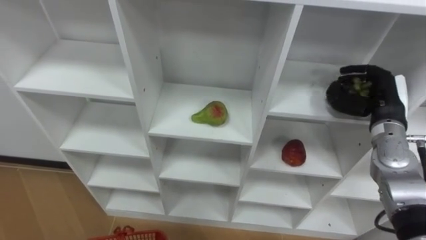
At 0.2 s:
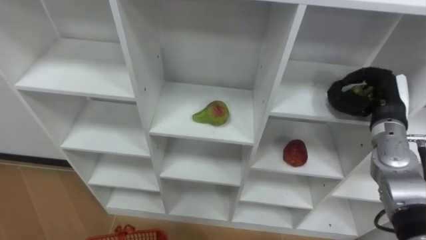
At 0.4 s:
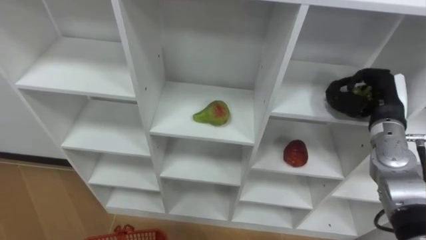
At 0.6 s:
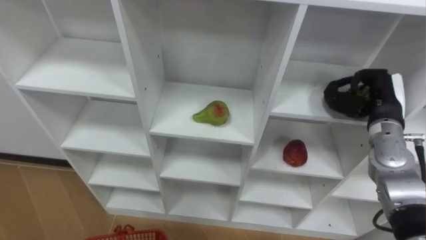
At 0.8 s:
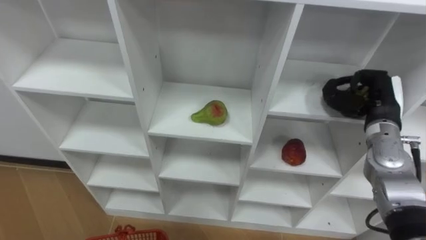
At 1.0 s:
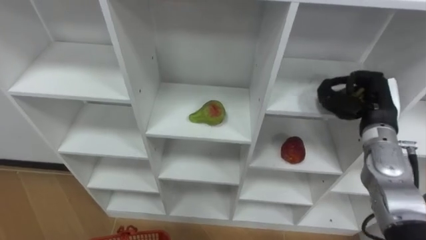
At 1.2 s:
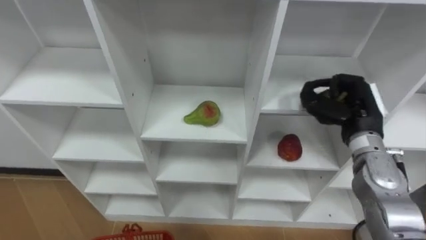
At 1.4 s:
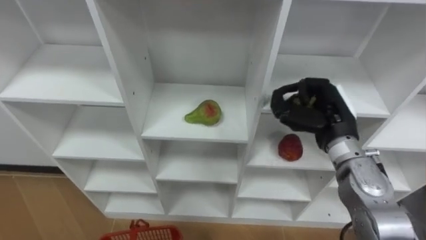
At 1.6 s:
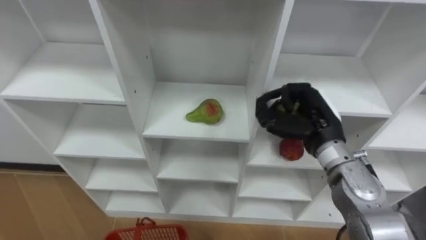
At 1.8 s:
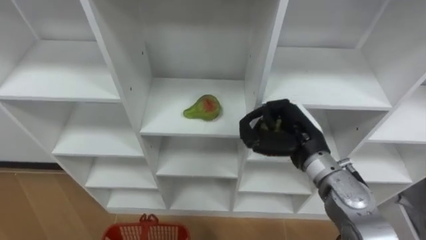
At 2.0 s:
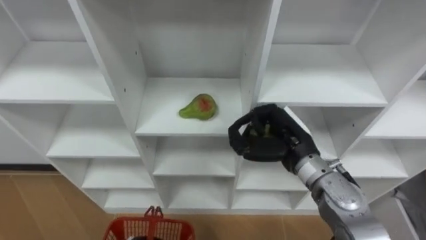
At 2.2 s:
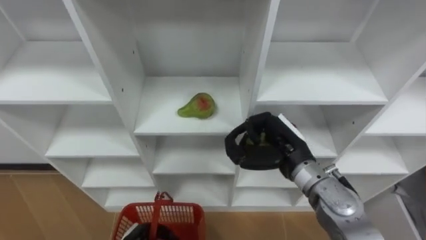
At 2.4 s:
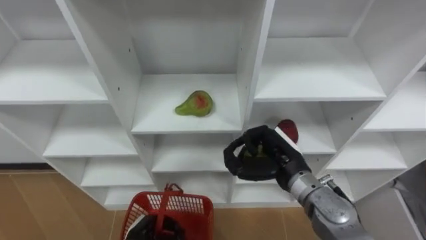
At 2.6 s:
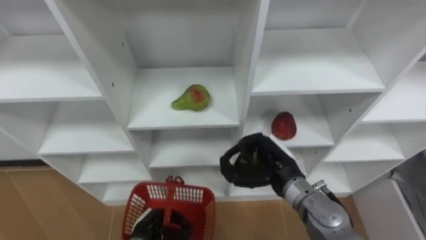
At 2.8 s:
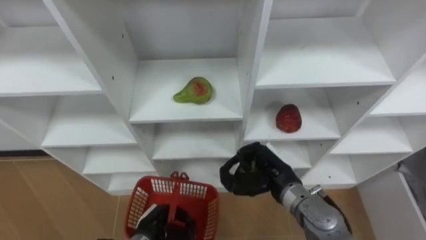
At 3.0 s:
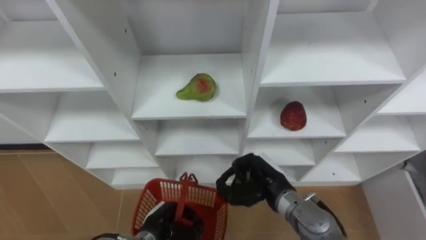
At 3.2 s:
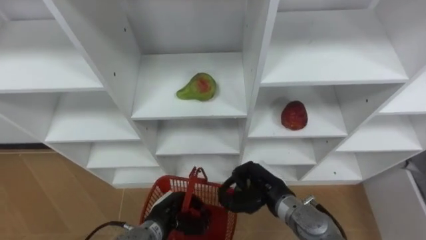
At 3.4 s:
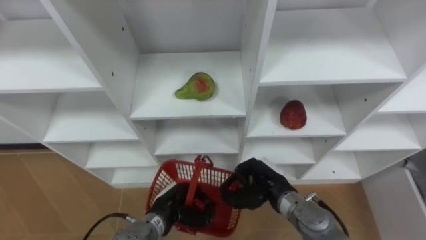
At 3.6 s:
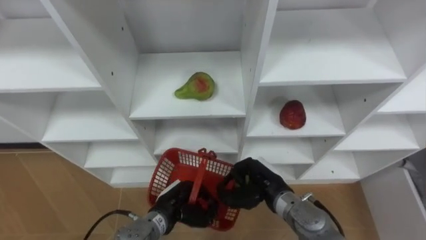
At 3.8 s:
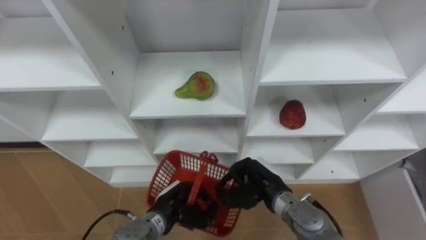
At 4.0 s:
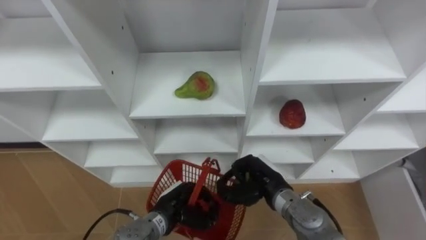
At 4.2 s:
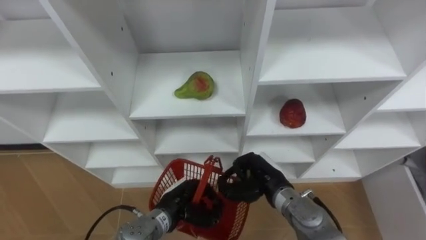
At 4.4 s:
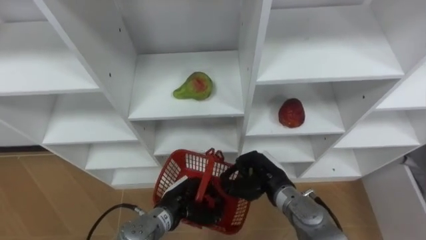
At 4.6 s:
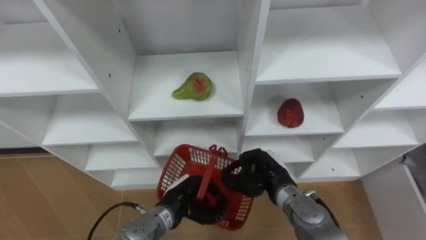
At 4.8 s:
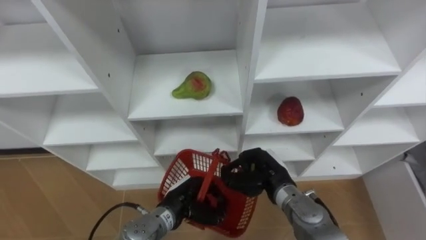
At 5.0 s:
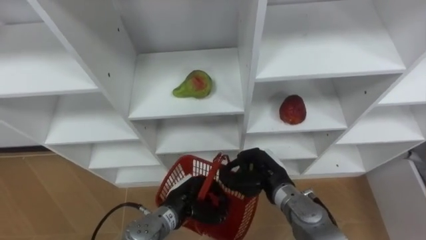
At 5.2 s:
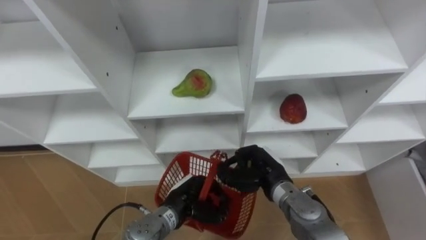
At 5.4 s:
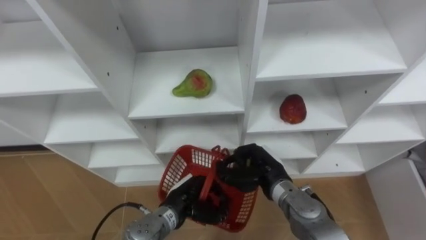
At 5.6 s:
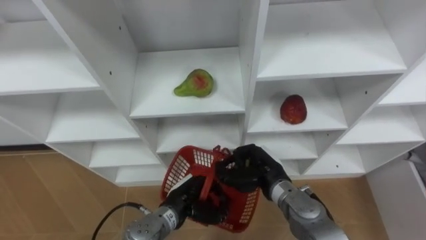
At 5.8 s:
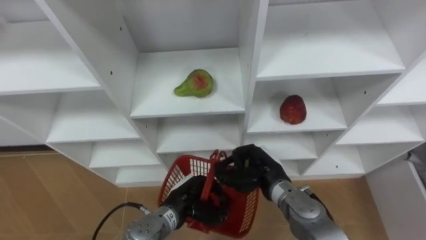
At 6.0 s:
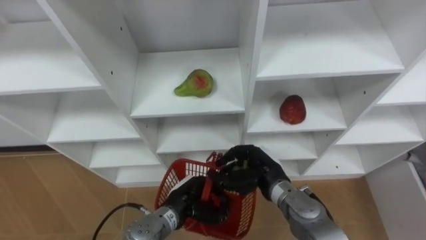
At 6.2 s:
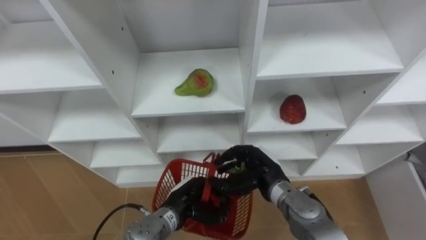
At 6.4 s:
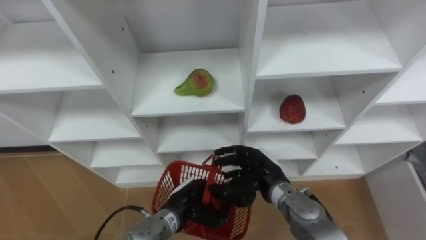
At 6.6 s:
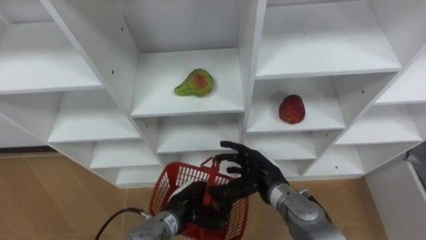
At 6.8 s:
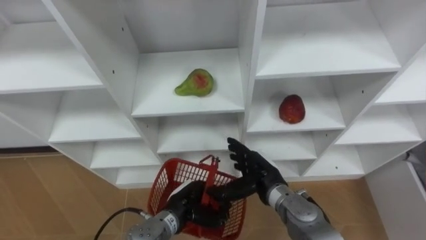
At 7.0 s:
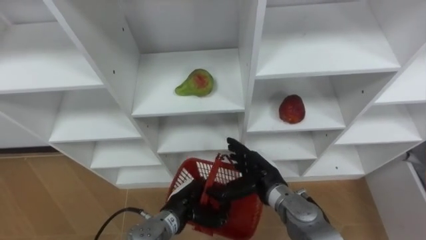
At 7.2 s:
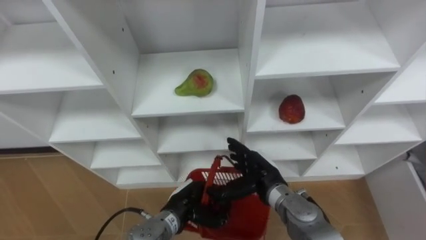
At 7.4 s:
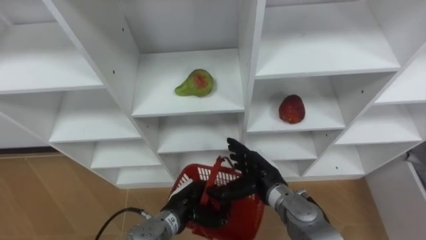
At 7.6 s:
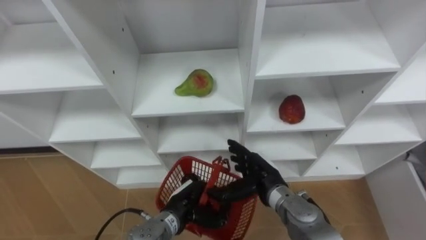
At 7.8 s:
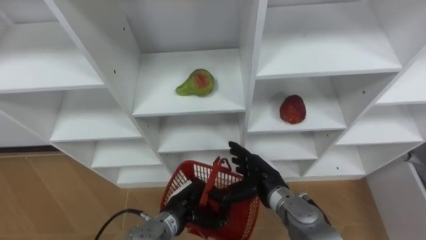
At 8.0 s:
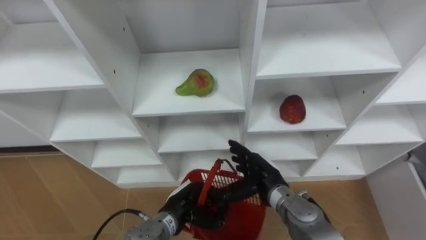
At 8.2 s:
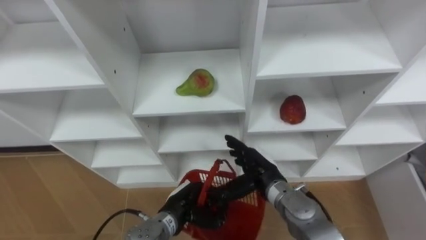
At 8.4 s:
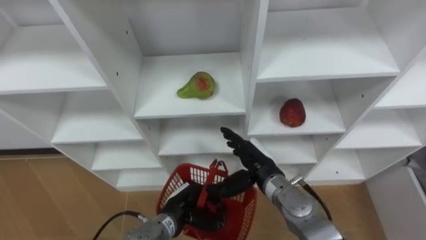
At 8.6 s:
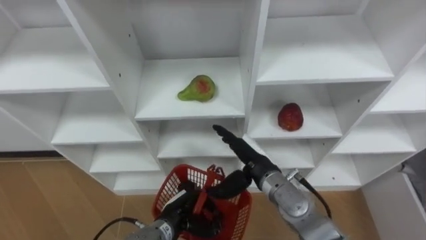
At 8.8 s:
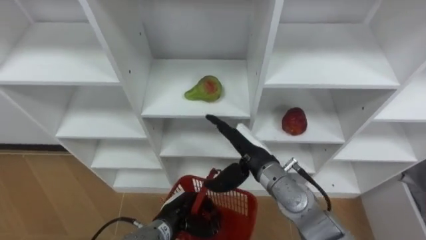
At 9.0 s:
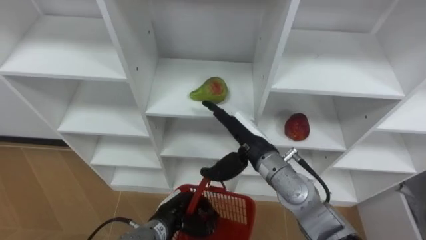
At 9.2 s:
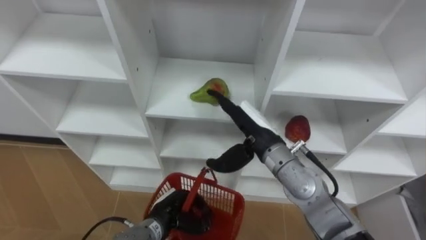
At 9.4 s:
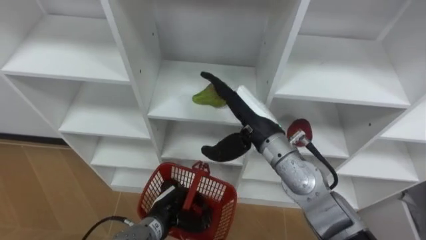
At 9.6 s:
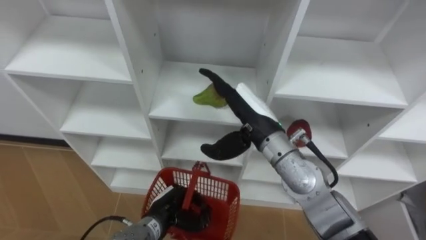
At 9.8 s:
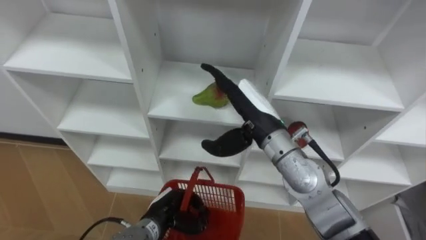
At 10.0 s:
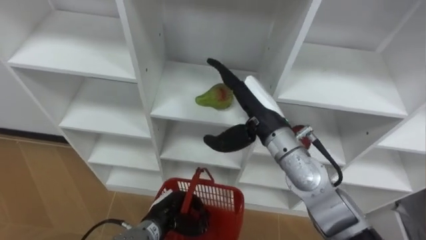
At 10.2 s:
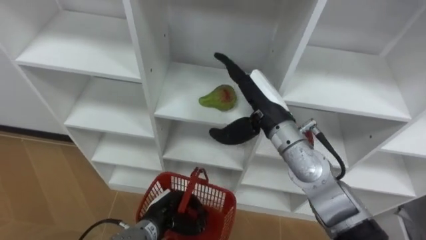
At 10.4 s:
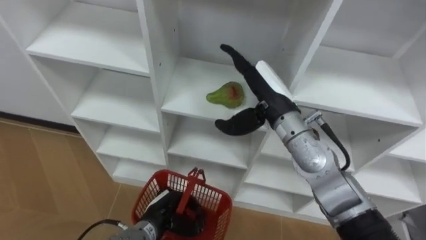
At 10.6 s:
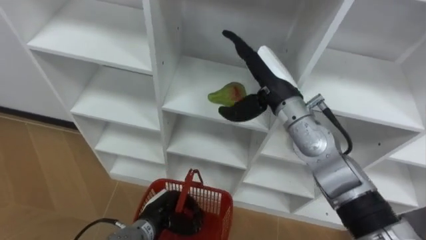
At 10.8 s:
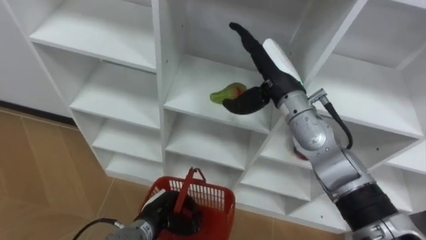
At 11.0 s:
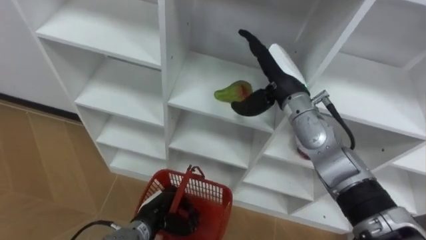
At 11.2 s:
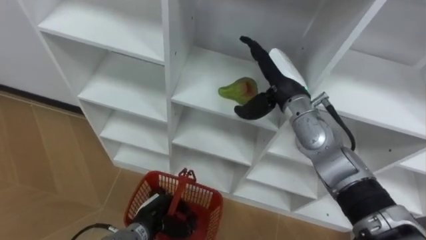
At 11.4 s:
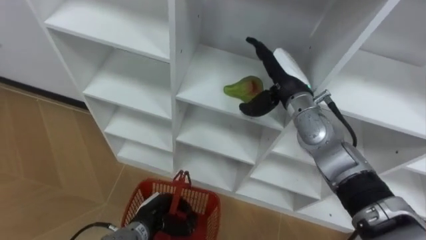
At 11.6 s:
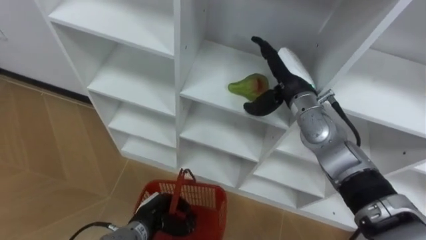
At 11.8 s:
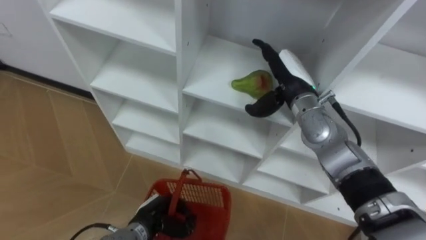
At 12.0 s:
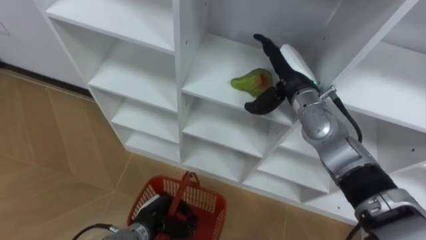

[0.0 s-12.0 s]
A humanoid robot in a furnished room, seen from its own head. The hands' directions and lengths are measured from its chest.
Task of the whole recording: Hold the basket and collect the fruits from 3 different cells of the closet into it.
0.0 to 1.6 s: The right hand is displaced to the left by approximately 15 cm, and closes.
1.6 to 3.0 s: The right hand shifts roughly 15 cm downward, to the left and backward.
3.0 to 4.4 s: The left hand ends up some 5 cm from where it was.
4.4 to 6.0 s: There are only small adjustments of the hands.
6.0 to 7.6 s: The right hand opens its fingers.
7.6 to 9.0 s: The right hand shifts approximately 10 cm upward.
9.0 to 10.4 s: The right hand goes about 10 cm upward.
10.4 to 12.0 s: The right hand is displaced forward by roughly 5 cm.

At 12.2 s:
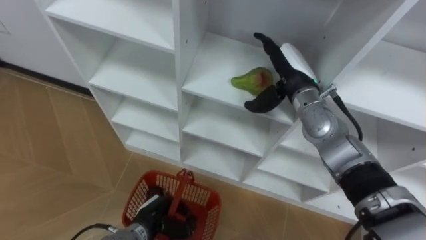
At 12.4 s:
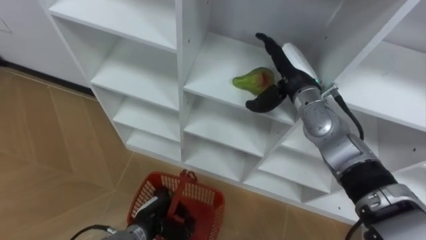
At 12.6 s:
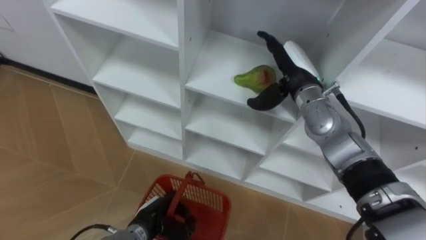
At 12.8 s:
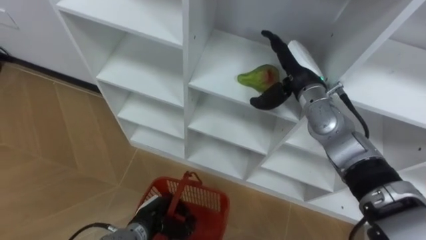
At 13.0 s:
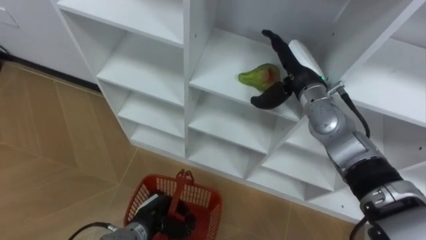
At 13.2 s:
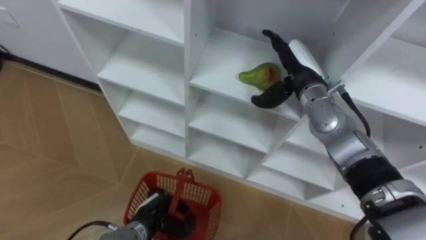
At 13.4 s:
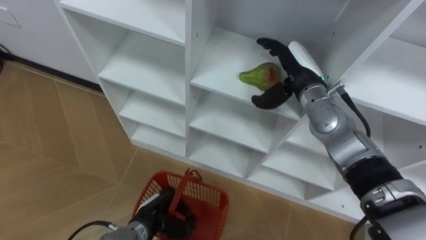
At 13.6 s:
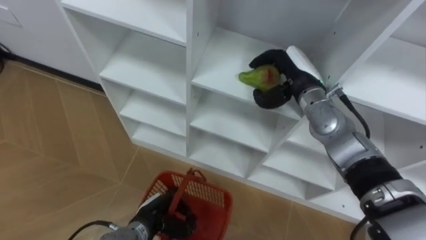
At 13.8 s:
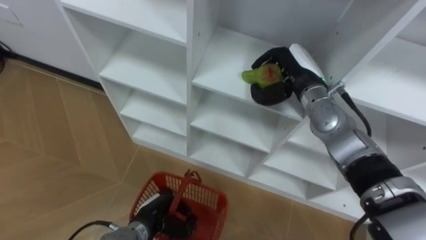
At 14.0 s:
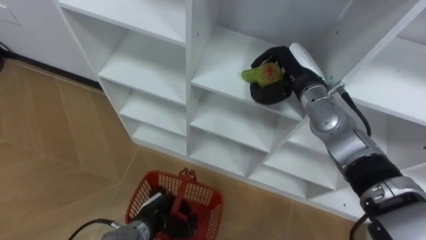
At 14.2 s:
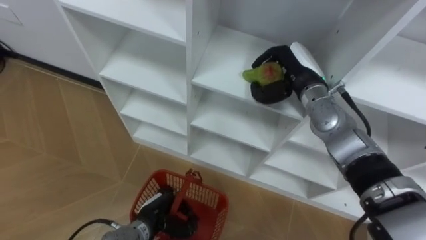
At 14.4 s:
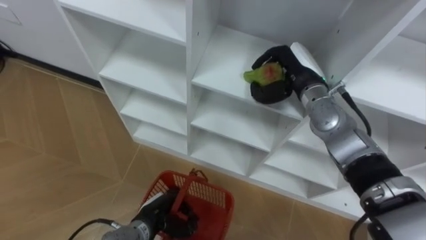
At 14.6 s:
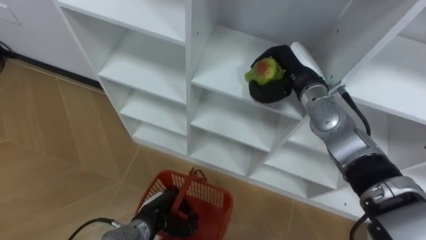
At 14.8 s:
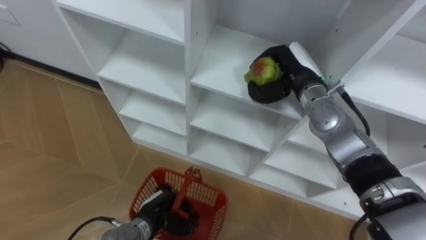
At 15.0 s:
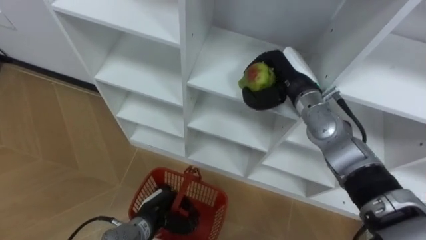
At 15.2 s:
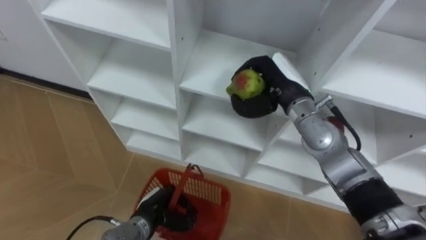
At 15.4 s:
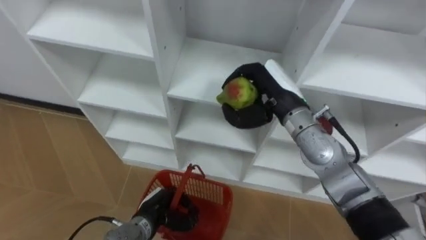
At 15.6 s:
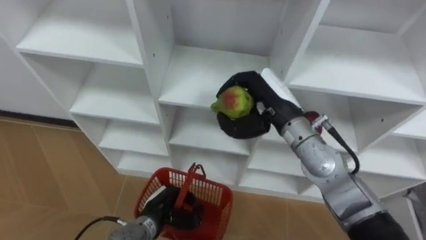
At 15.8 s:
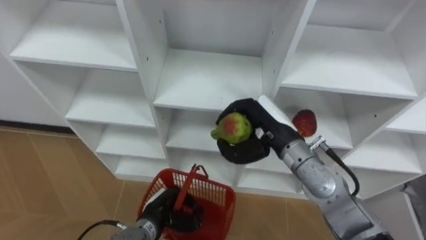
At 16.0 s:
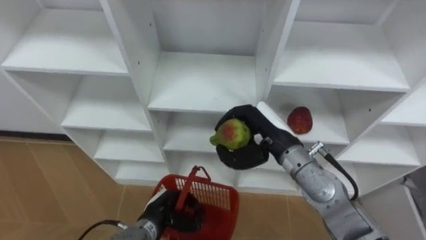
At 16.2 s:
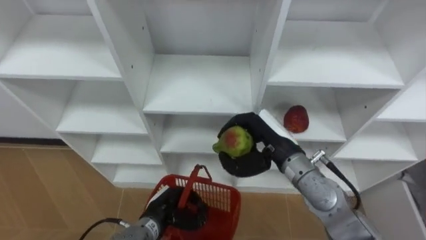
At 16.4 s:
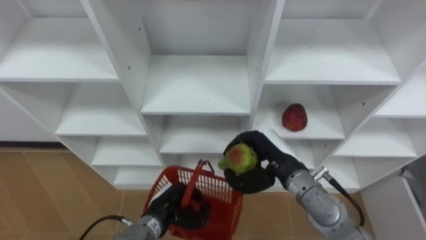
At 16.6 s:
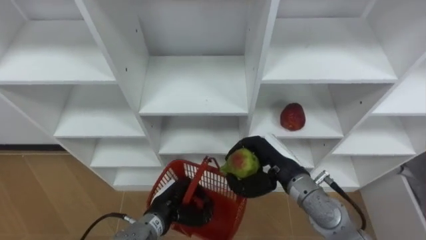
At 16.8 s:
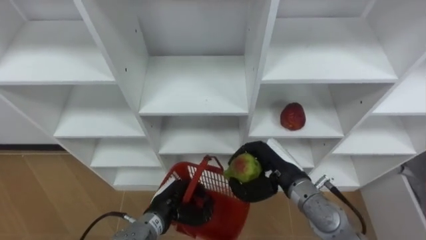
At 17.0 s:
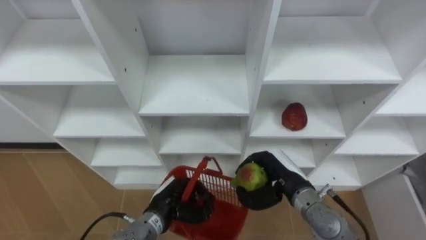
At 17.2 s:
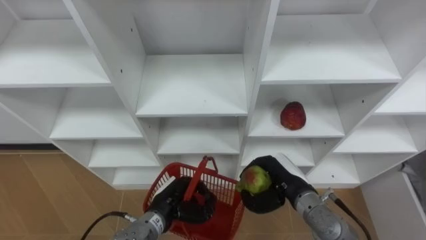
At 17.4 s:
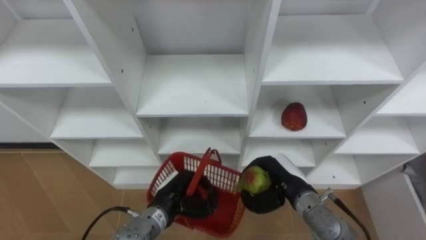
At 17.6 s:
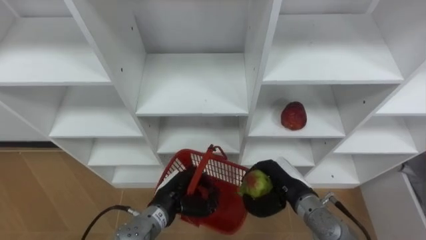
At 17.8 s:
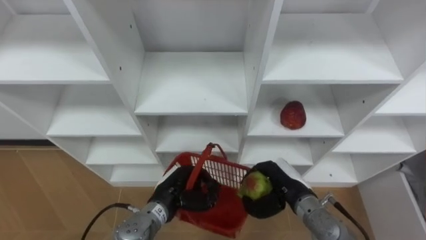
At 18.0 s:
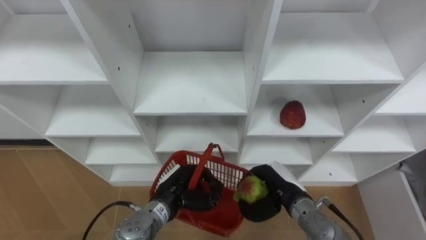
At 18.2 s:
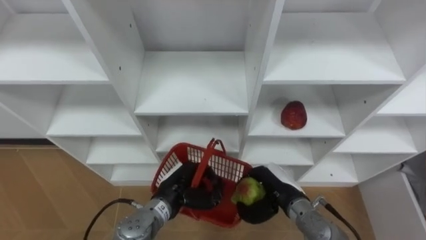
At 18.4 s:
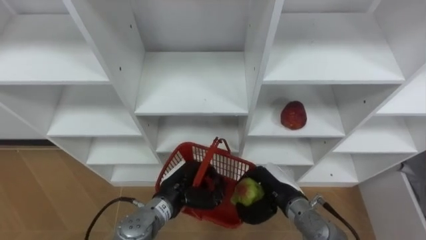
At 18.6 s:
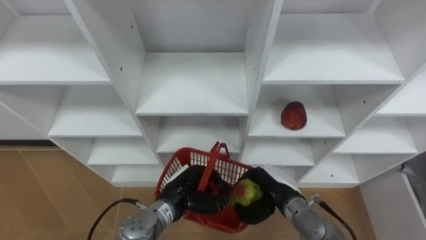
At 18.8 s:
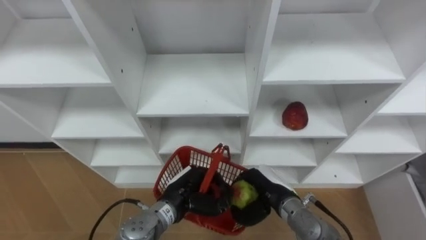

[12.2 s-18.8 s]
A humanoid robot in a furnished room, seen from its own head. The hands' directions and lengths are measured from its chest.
Task of the whole recording: Hold the basket and collect the fruits from 3 different cells of the closet into it.
12.2 to 13.8 s: The right hand closes up.
13.8 to 15.4 s: The right hand travels backward by roughly 5 cm.
15.4 to 17.2 s: The right hand heads downward and backward, covering about 20 cm.
17.2 to 18.8 s: The hands stay close to where they were, moving slightly.
